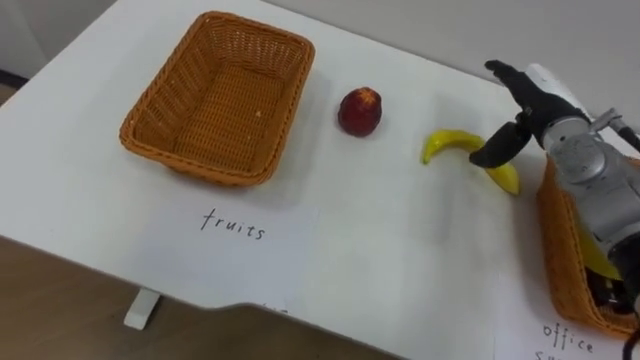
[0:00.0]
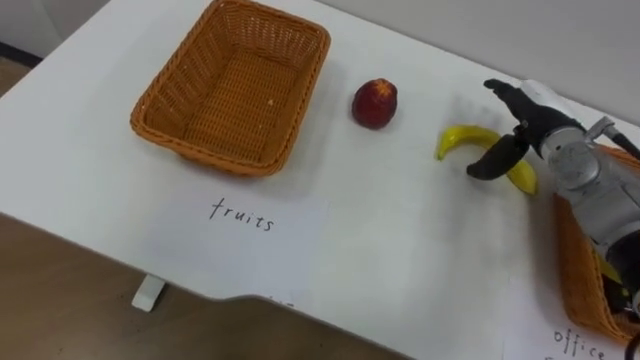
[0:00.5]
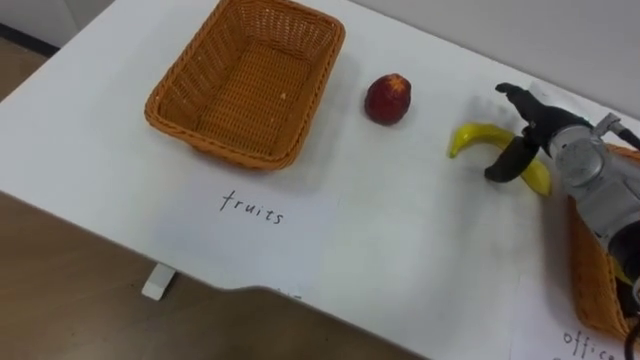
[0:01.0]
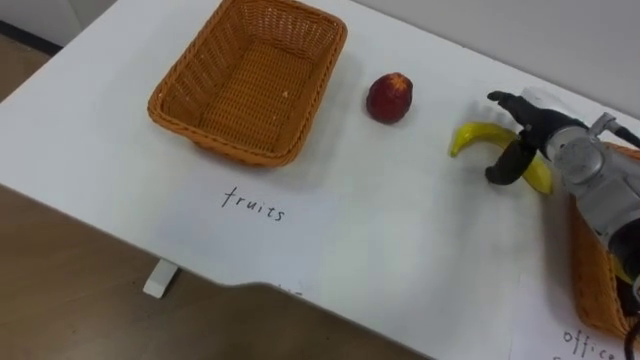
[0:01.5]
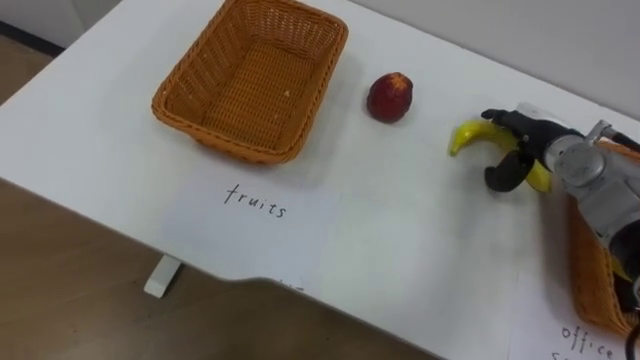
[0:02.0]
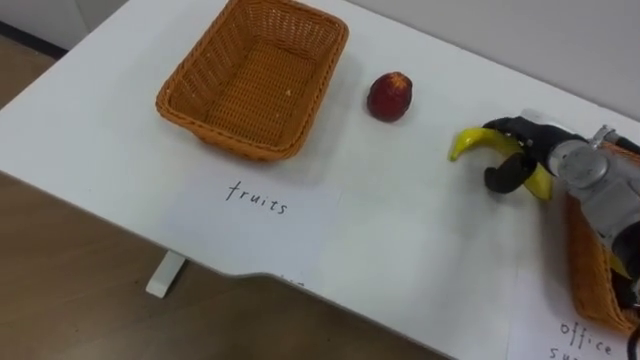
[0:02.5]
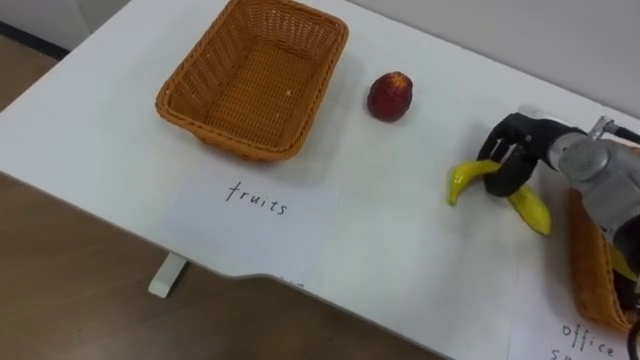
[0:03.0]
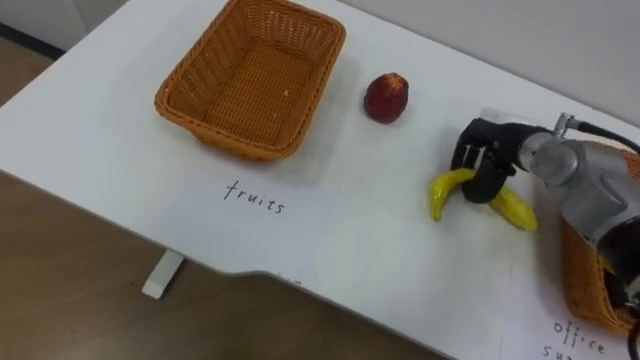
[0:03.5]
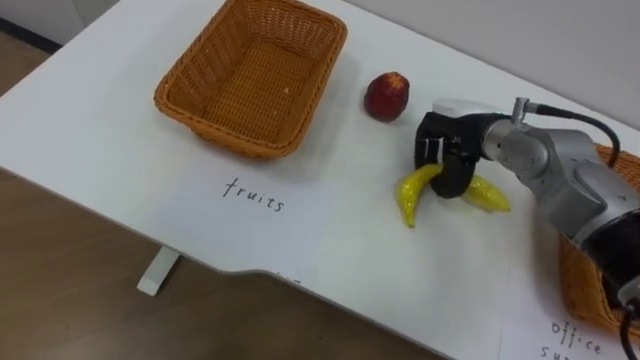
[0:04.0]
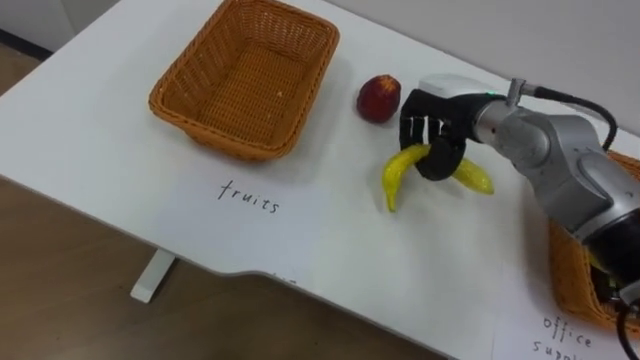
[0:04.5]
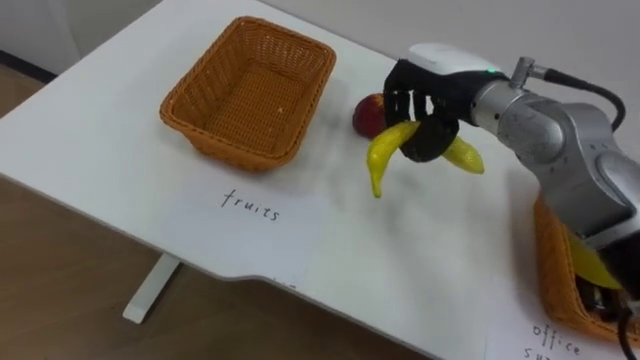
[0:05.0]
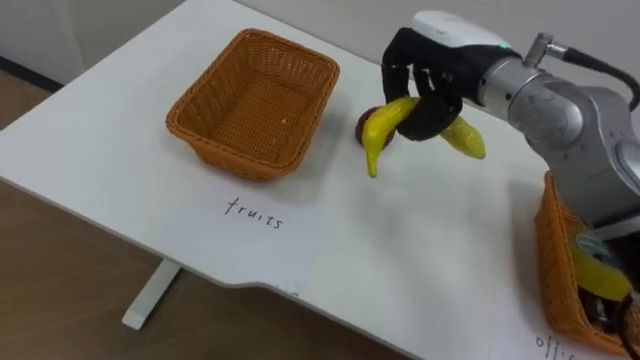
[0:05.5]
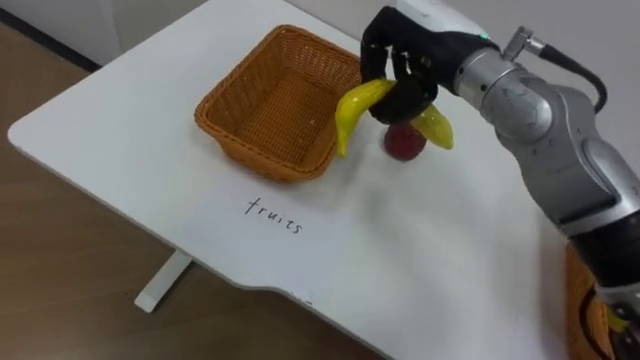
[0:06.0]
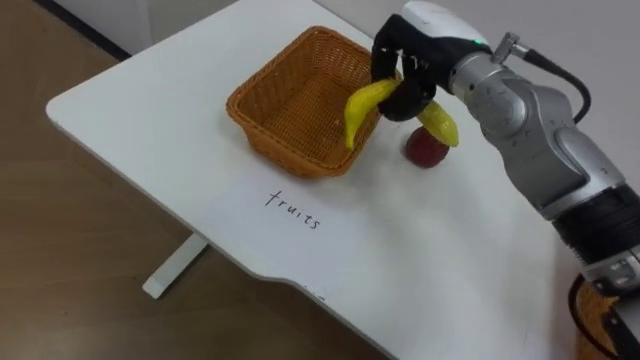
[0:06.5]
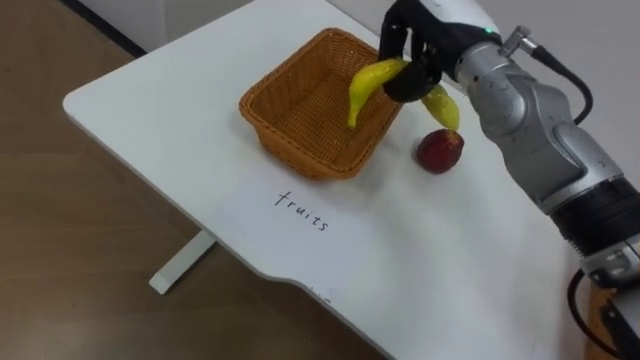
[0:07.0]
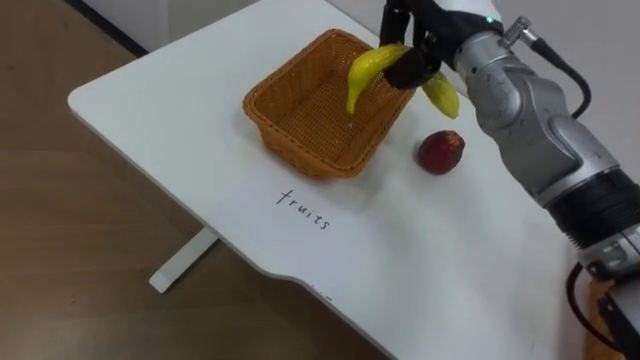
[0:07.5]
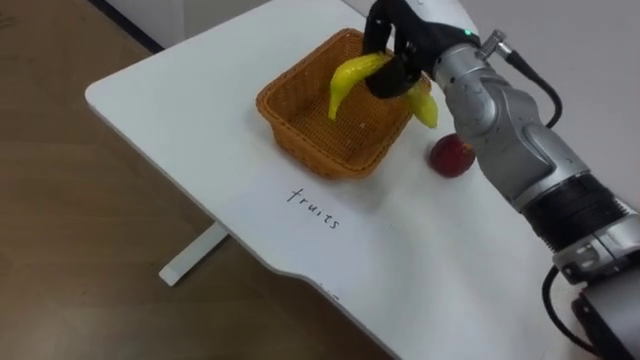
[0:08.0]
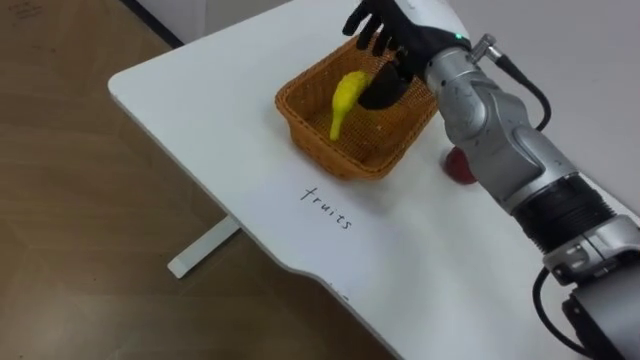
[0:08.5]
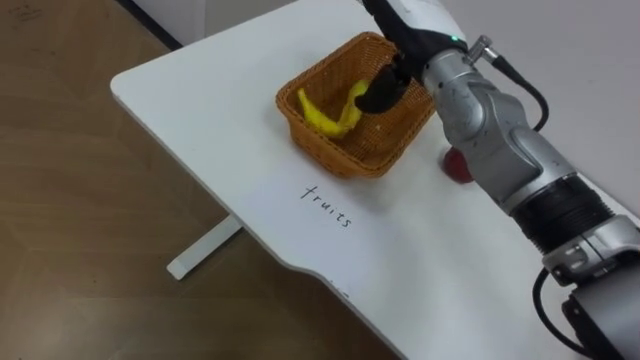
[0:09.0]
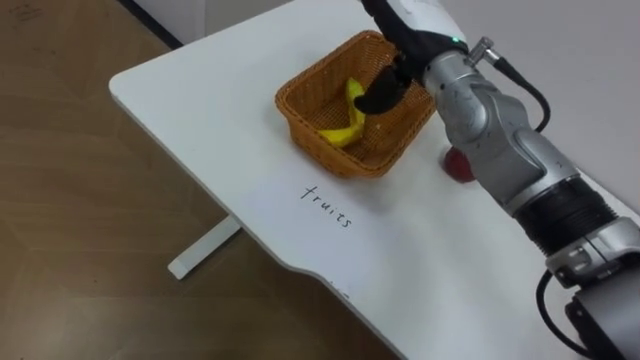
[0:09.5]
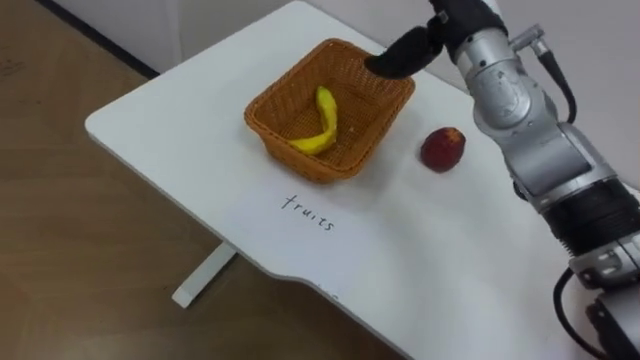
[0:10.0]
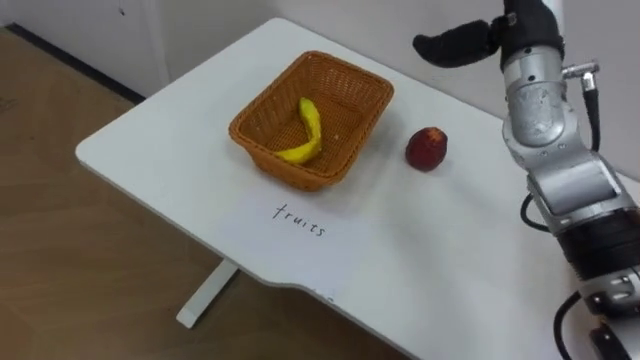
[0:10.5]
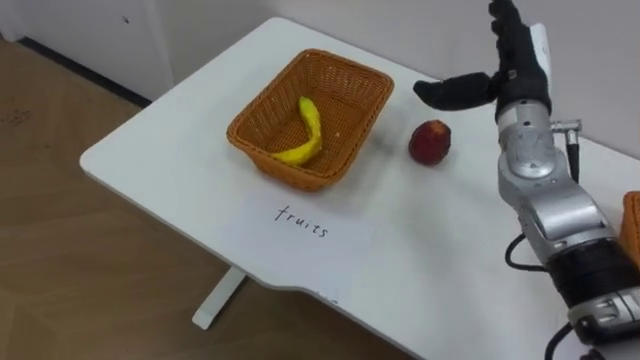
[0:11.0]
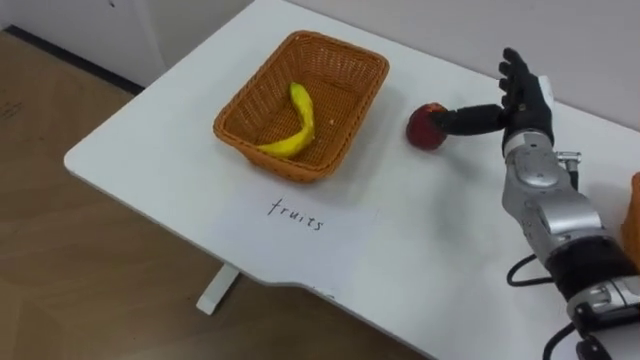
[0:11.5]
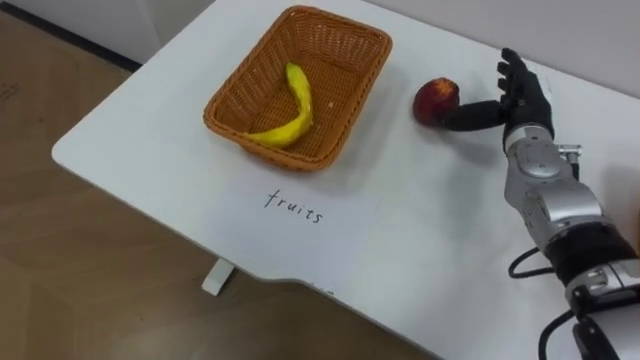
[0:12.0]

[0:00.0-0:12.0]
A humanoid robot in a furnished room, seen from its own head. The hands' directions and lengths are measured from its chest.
Task of the whole recording: Separate the items on the table and place them into the two baskets.
0:02.0 to 0:04.0: The right hand shifts about 10 cm to the left, and closes.
0:04.0 to 0:06.0: The right hand travels upward and to the left by some 15 cm.

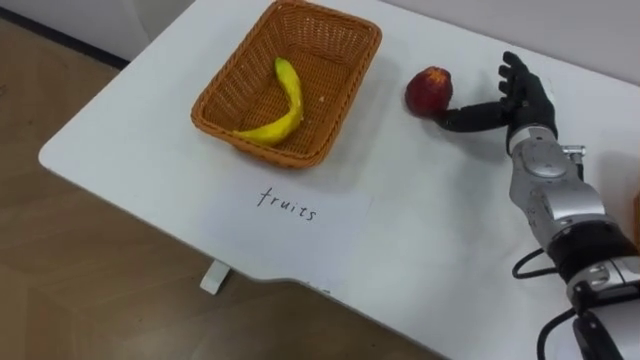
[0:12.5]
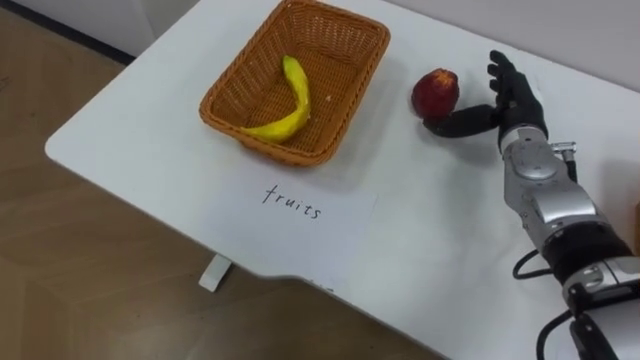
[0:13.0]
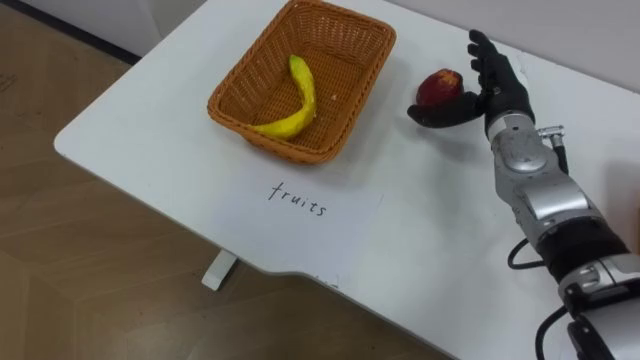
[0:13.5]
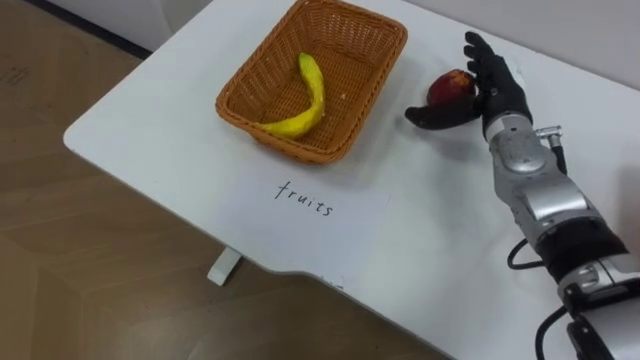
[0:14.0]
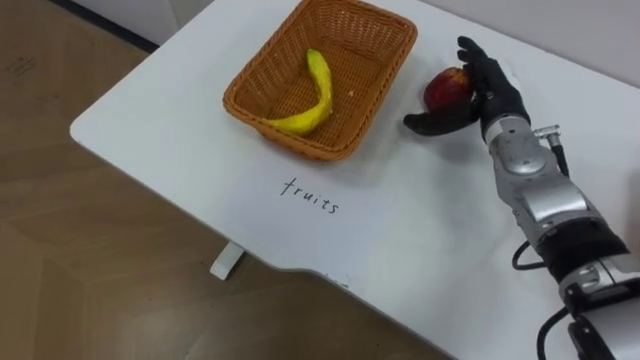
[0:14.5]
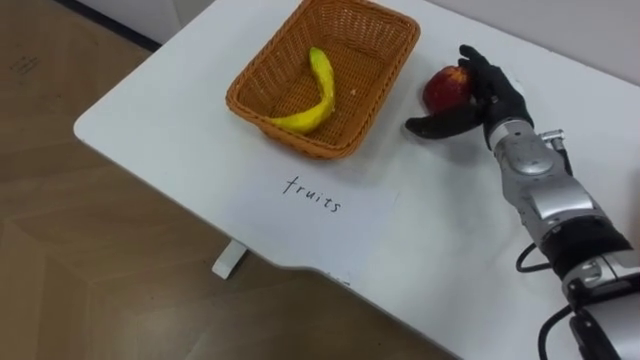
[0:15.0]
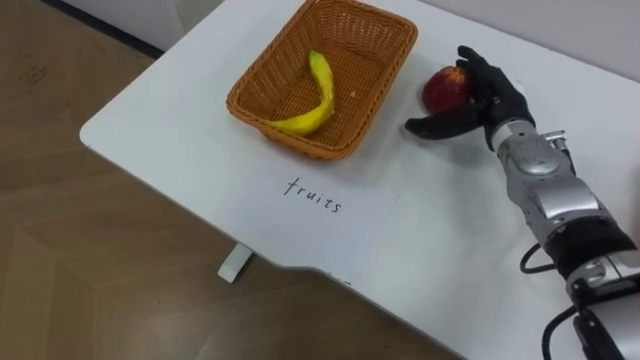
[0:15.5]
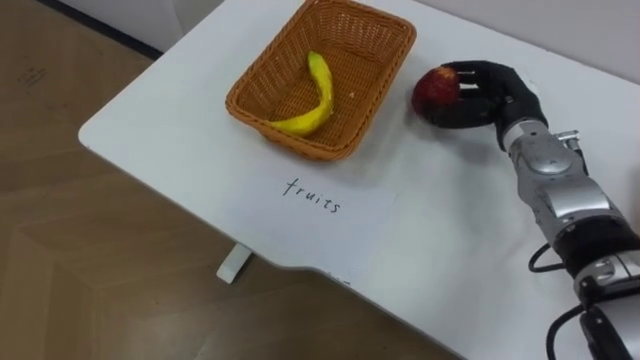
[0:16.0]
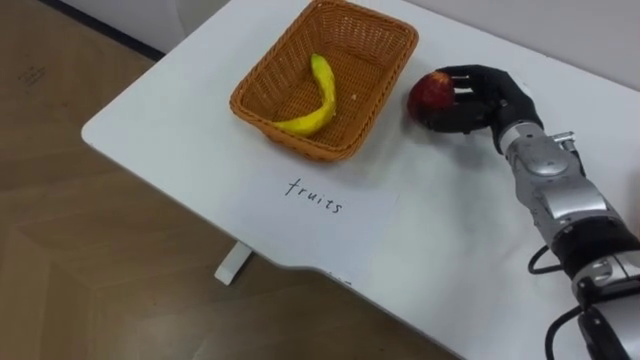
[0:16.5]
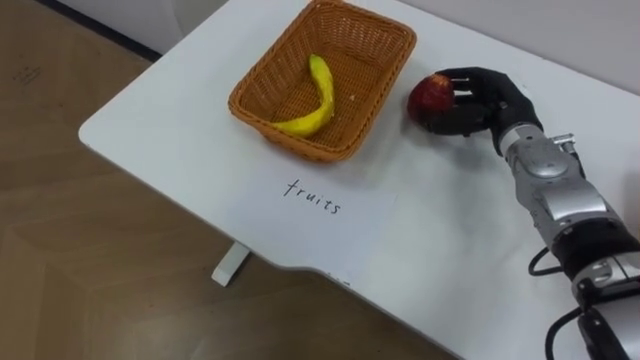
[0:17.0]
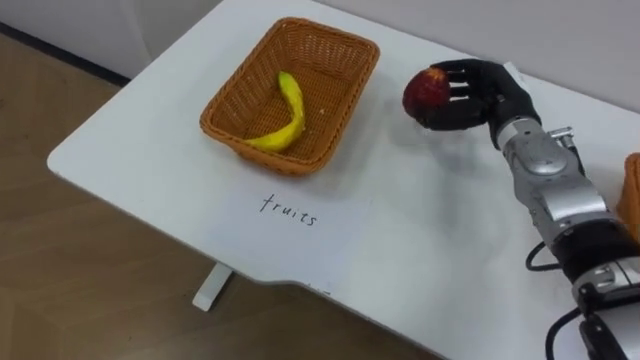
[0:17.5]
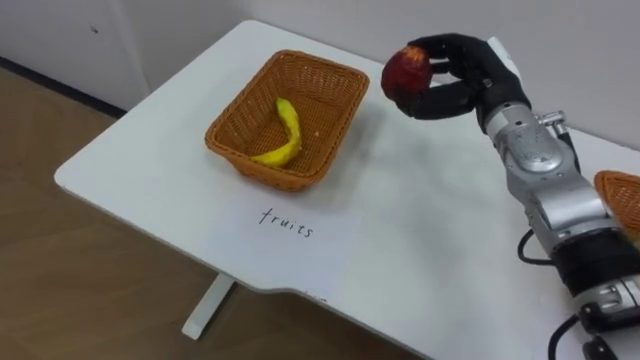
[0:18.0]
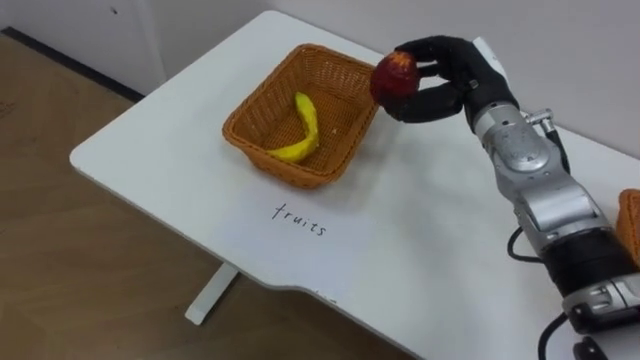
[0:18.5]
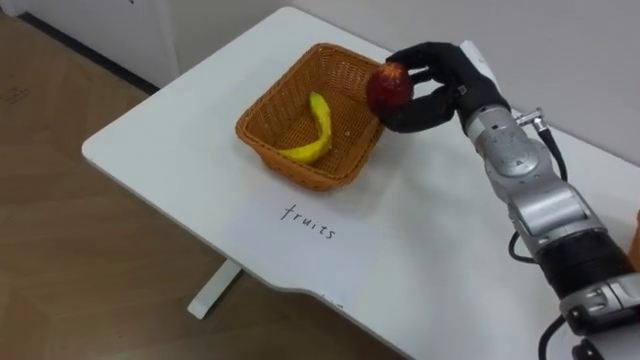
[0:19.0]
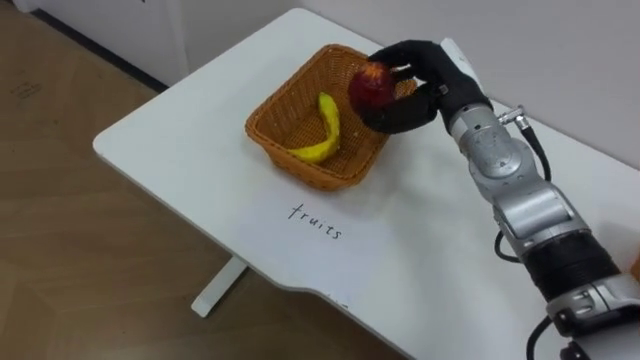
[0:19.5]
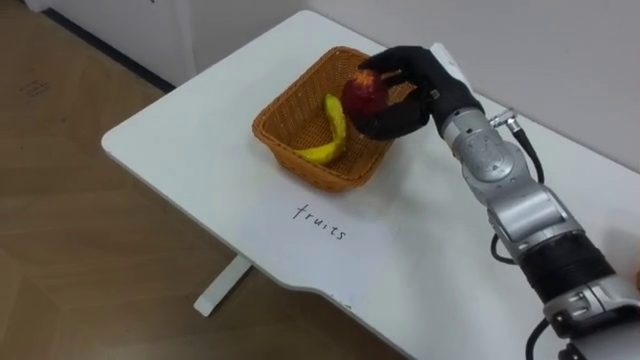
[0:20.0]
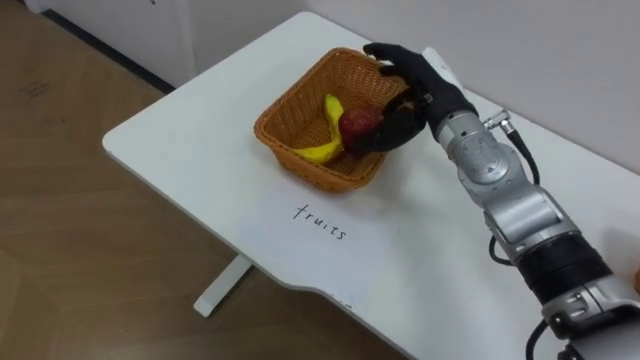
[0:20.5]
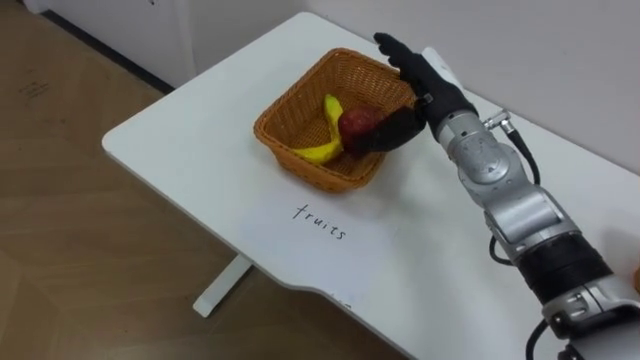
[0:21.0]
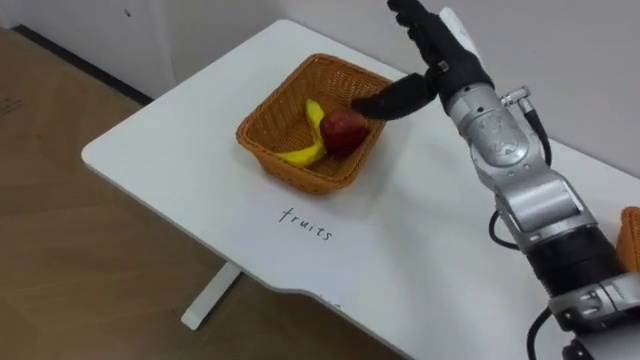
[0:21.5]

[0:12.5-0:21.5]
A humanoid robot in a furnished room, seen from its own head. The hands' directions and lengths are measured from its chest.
Task of the whole recording: Separate the items on the table and place them into the two baskets.
0:14.5 to 0:17.0: The right hand closes.
0:17.0 to 0:19.5: The right hand heads to the left and upward, covering about 10 cm.
0:19.5 to 0:21.5: The right hand opens its fingers.
